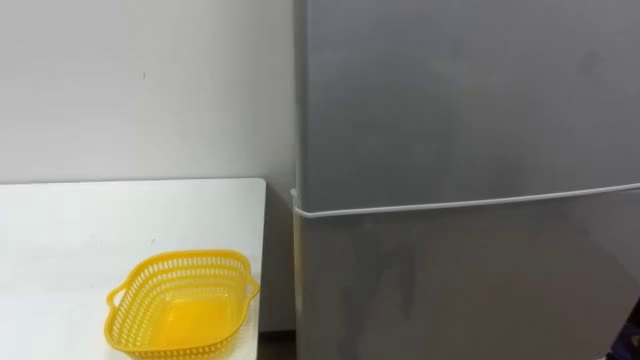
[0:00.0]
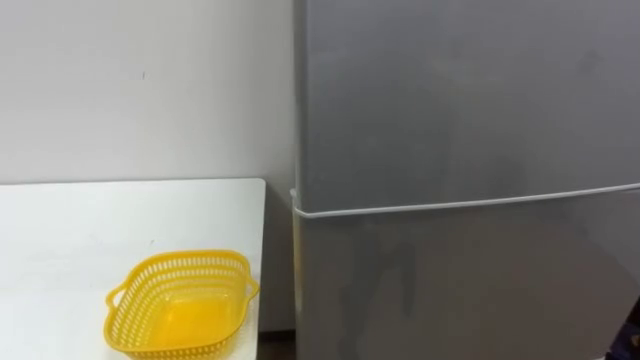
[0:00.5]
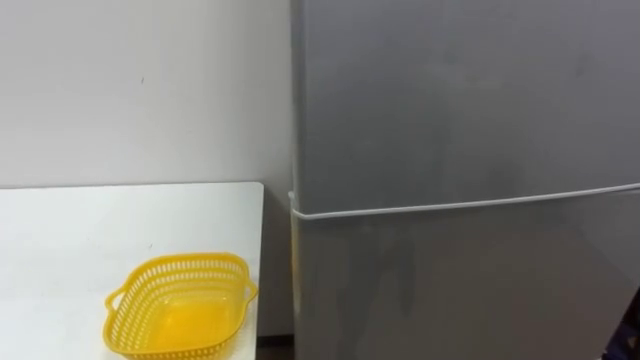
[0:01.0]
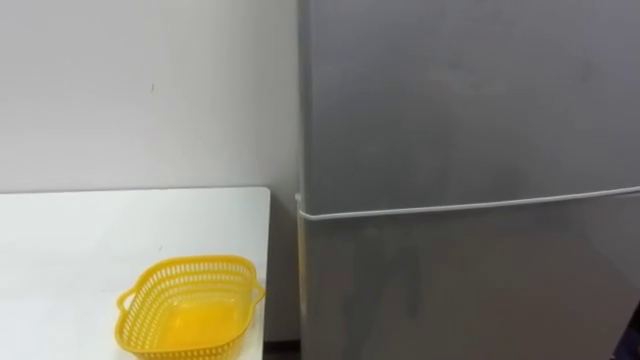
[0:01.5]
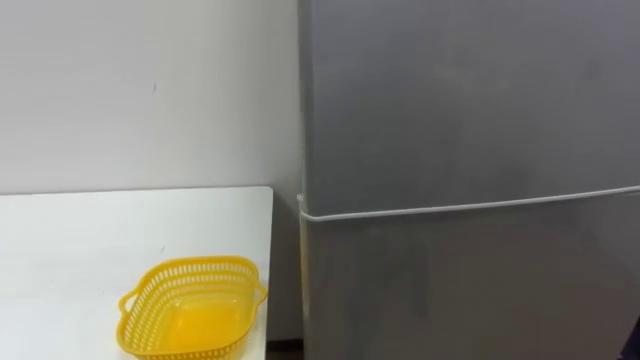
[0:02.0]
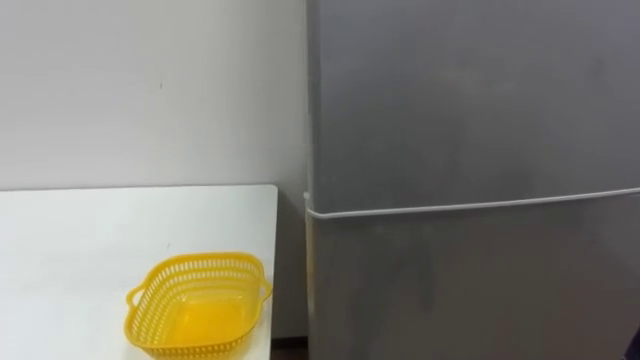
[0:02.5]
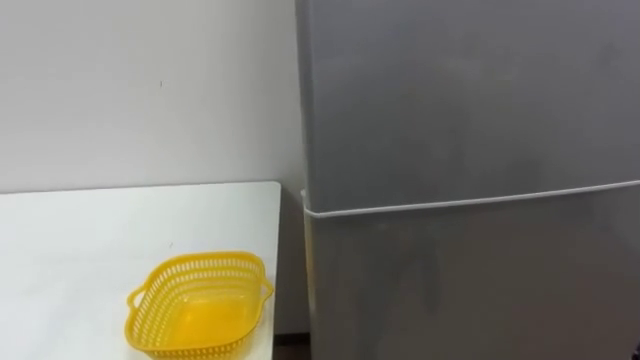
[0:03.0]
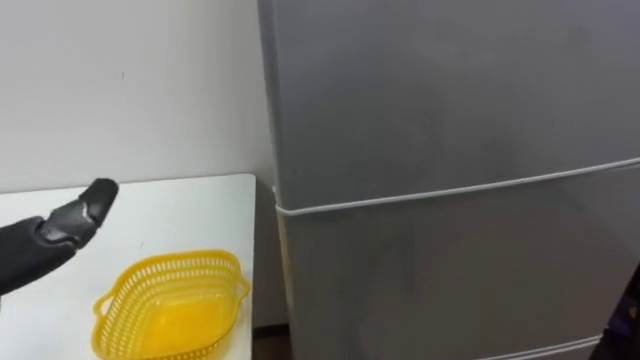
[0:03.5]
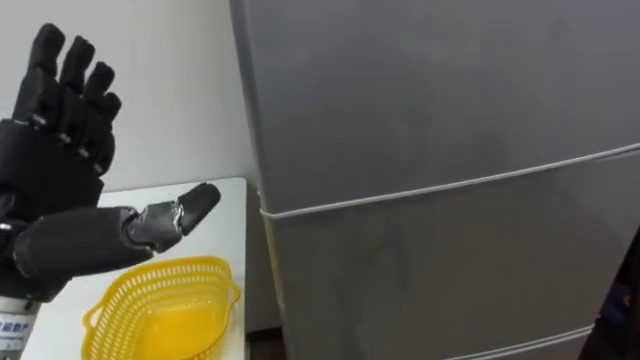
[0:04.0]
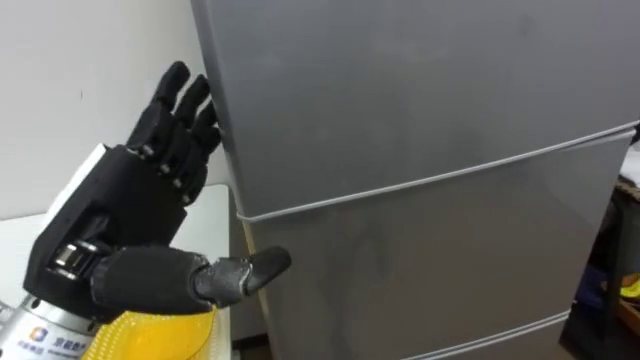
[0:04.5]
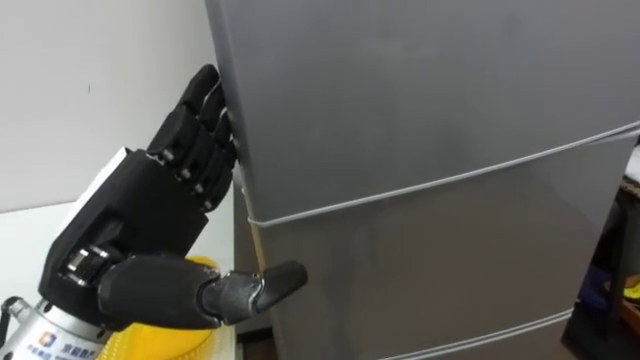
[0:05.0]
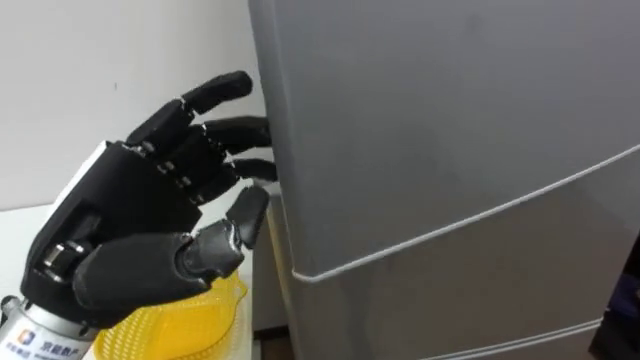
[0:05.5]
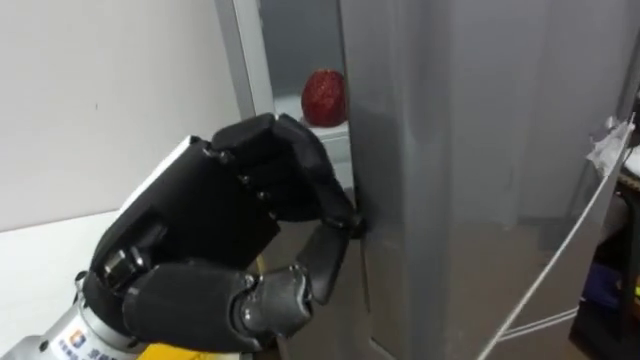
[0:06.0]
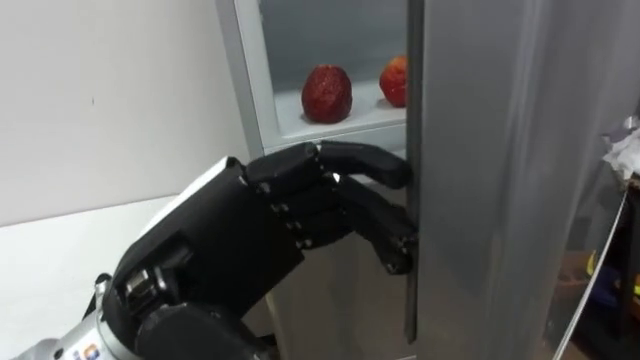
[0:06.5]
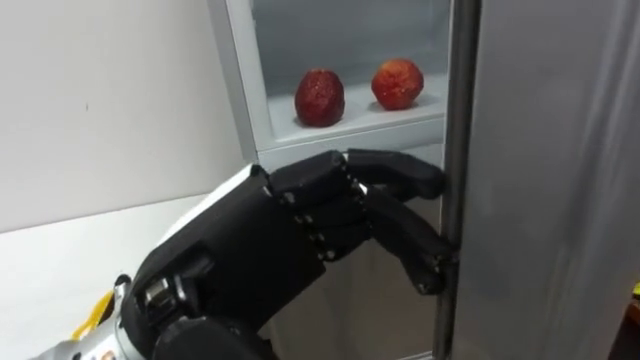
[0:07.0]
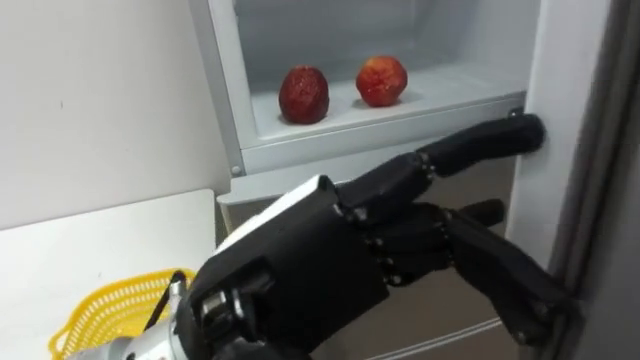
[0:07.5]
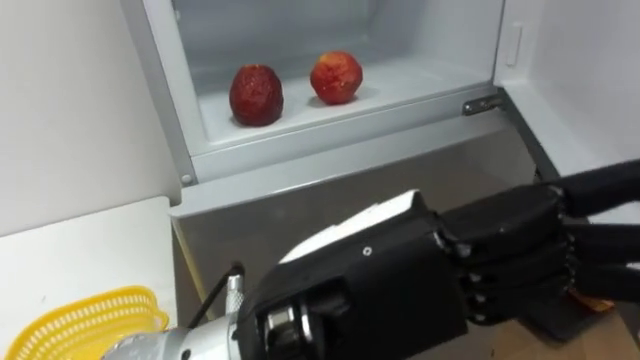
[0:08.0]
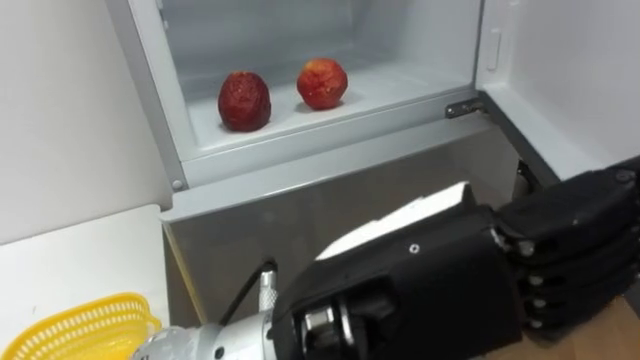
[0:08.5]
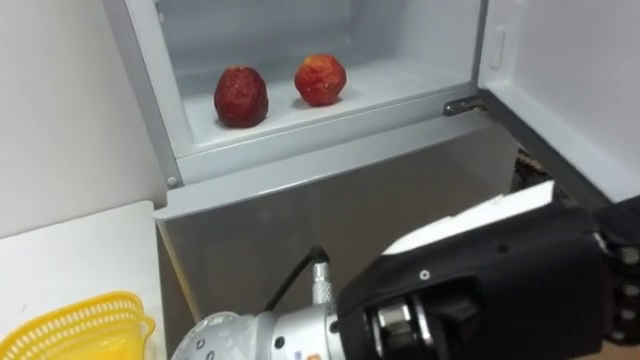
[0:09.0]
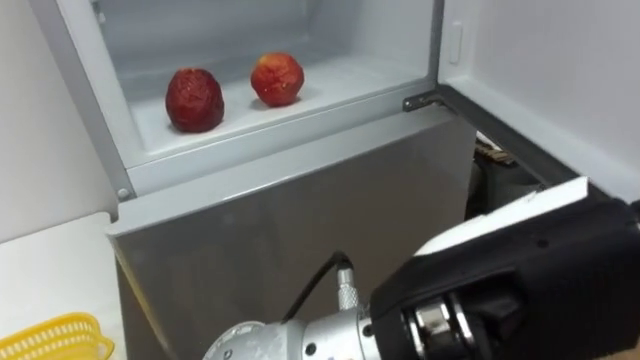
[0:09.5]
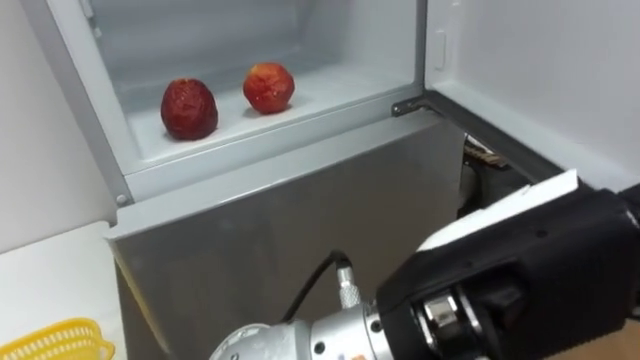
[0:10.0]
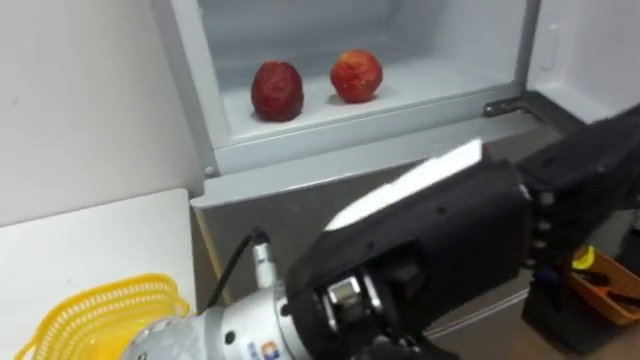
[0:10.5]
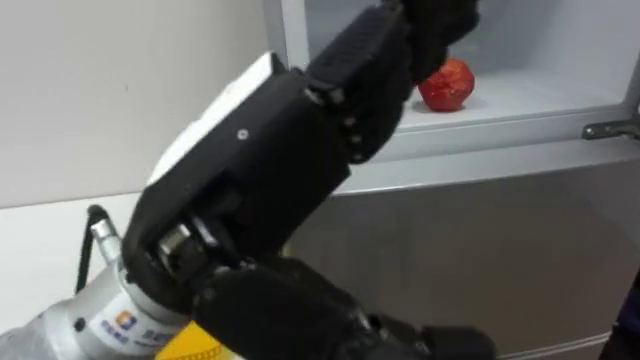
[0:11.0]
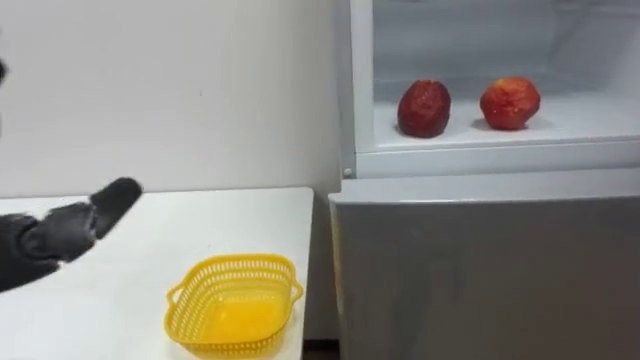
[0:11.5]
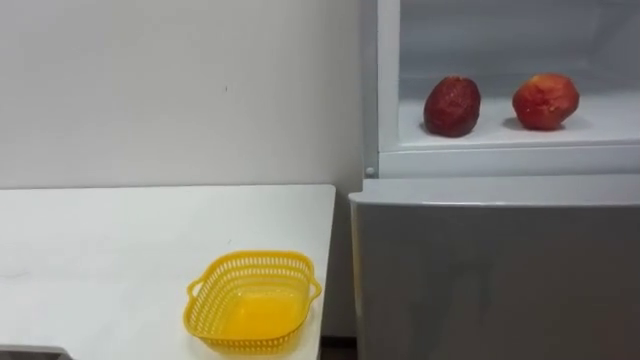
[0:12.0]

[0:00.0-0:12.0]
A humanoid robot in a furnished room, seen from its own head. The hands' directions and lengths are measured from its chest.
Task of the whole recording: Open the refrigerator door, take out the apple and the pomegranate, place them in the fruit basket on the left, and close the refrigerator door.
0:04.0 to 0:06.0: The left hand is displaced to the right by about 10 cm, and closes.
0:06.0 to 0:08.0: The left hand moves to the right and backward, some 10 cm, and opens up.
0:08.0 to 0:10.0: The left hand shifts approximately 5 cm to the right.

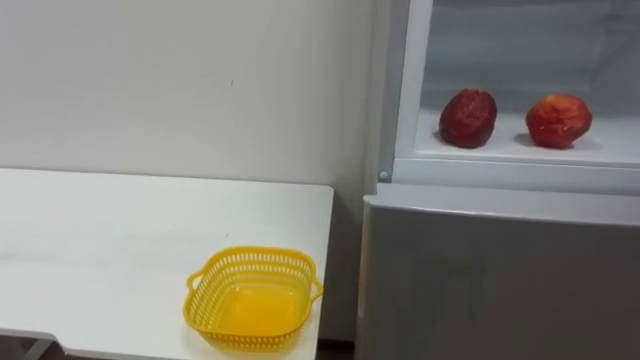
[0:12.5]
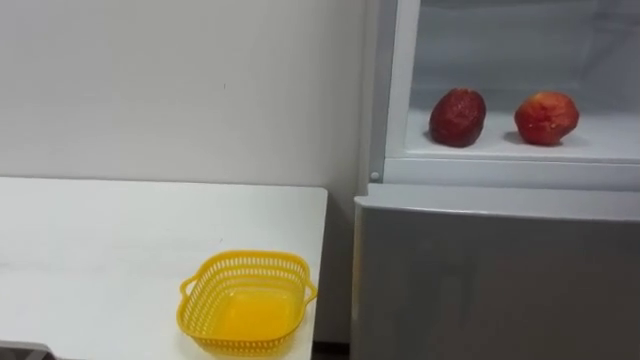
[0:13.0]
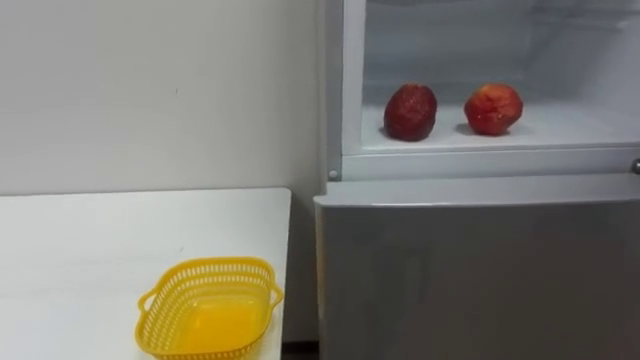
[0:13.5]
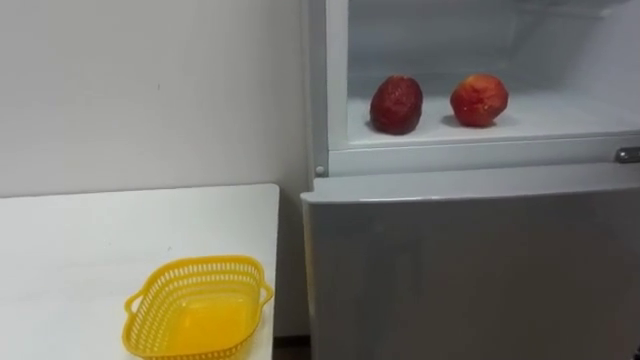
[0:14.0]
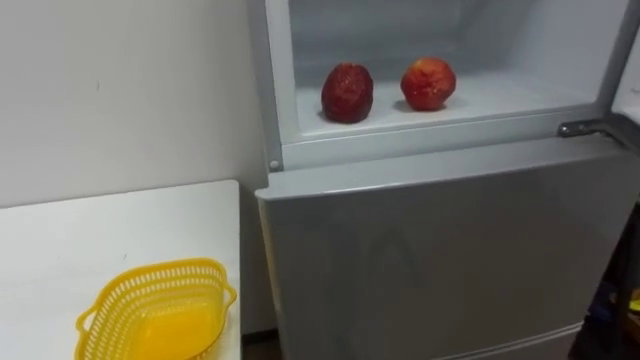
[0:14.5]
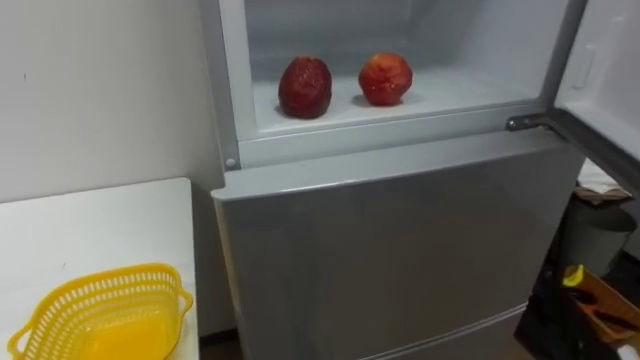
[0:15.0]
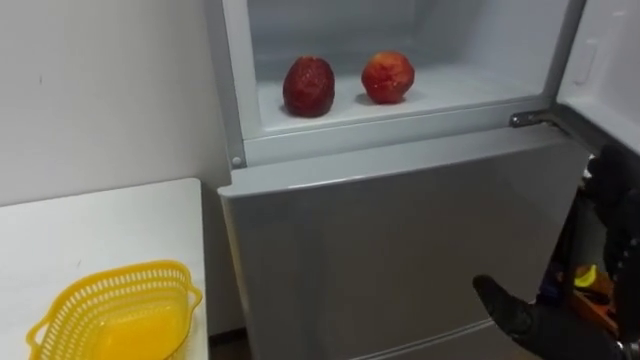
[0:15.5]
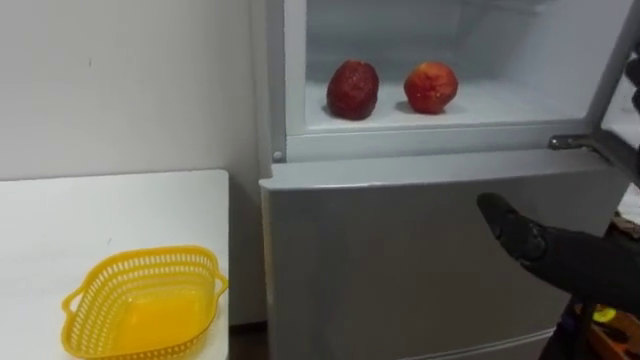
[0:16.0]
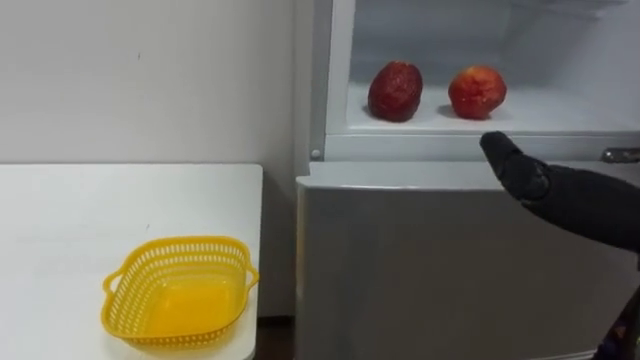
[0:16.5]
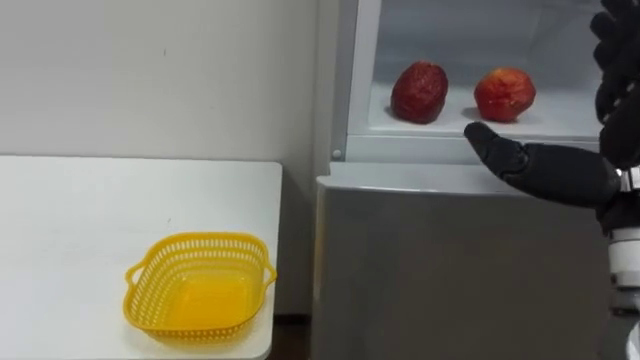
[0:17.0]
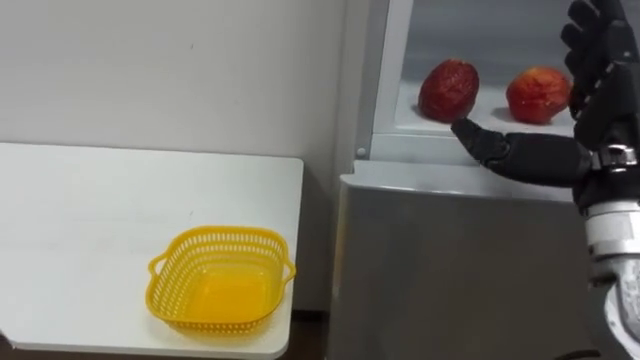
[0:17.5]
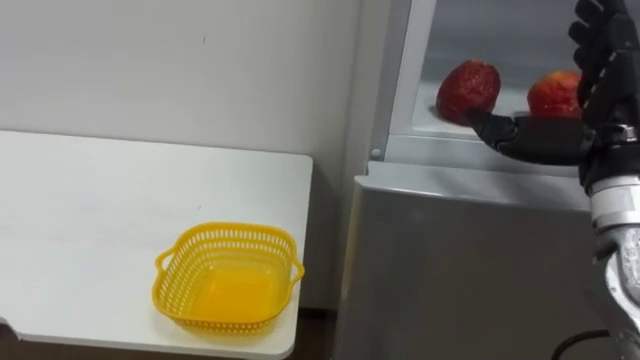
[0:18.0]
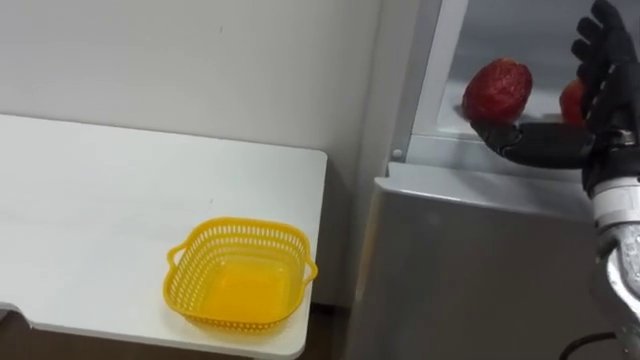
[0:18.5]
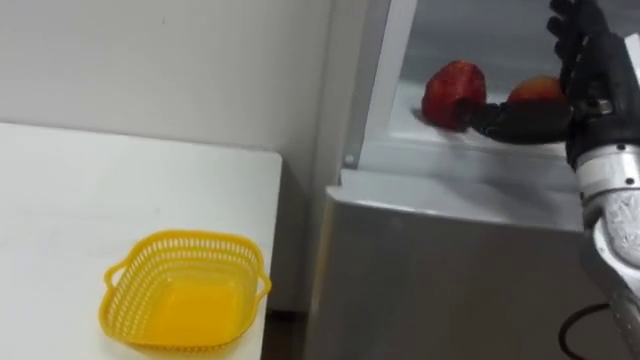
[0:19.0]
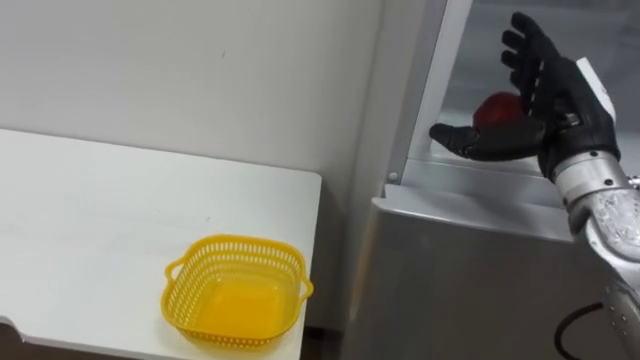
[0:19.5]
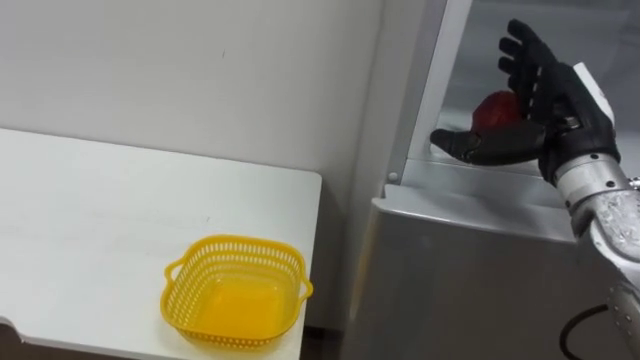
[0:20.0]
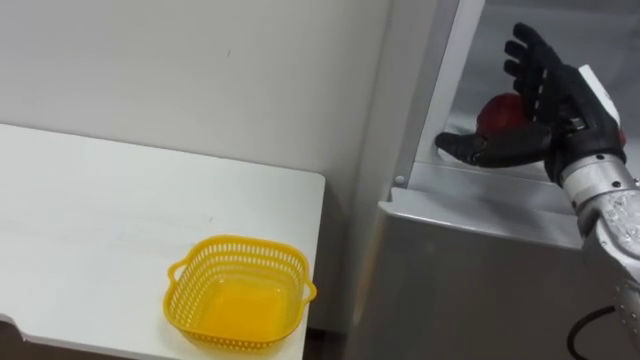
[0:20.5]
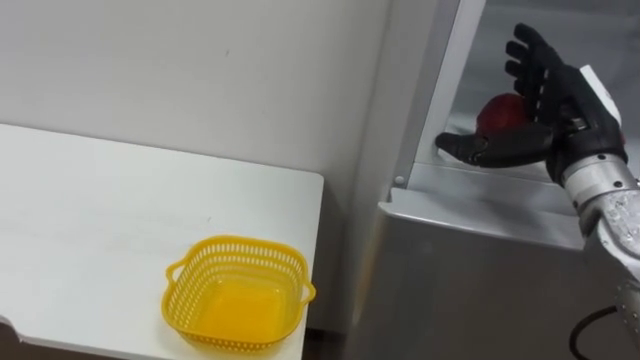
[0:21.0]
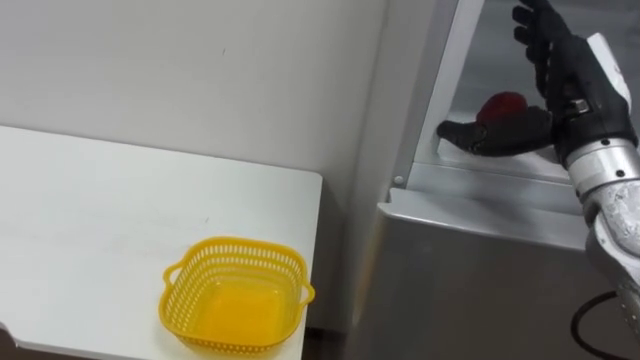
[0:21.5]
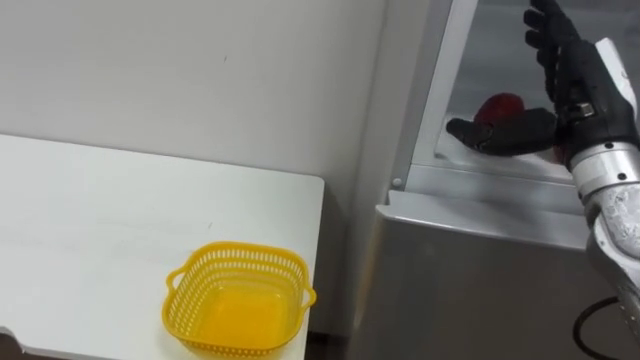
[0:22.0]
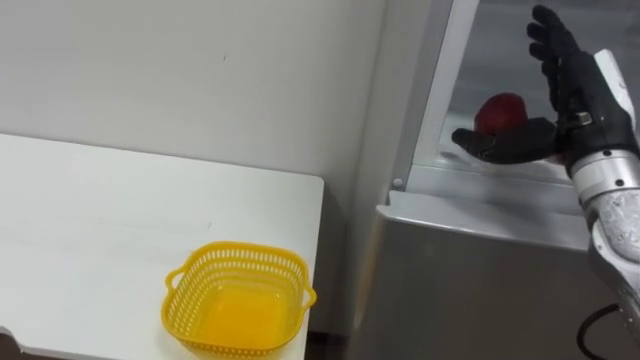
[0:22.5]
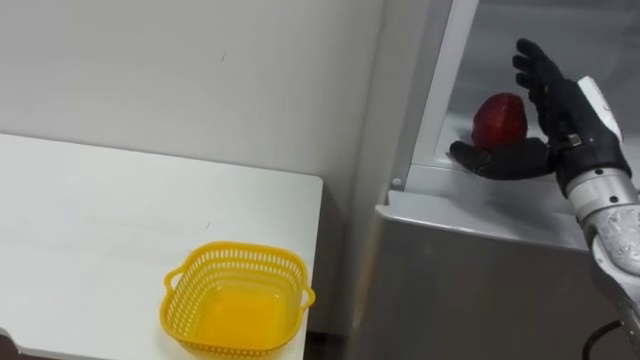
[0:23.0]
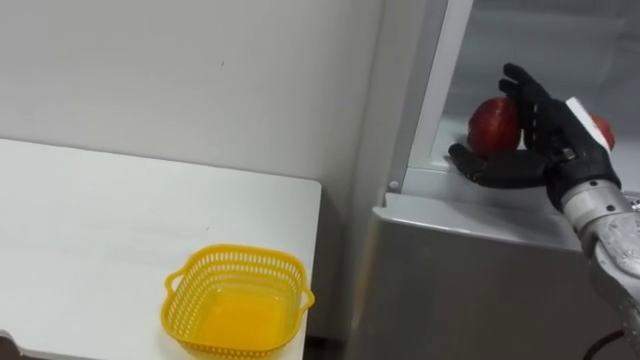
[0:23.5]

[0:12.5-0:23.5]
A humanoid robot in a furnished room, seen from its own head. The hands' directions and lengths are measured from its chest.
Task of the whole recording: Open the refrigerator door, take out the apple and the pomegranate, place them in the fruit basket on the left, and close the refrigerator door.
0:18.0 to 0:20.0: The right hand travels forward by roughly 5 cm.
0:21.5 to 0:23.5: The right hand goes approximately 5 cm downward.
